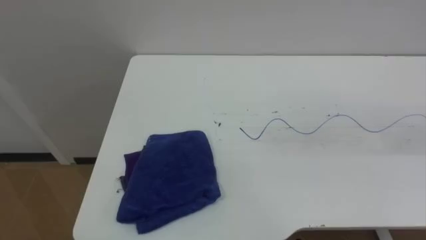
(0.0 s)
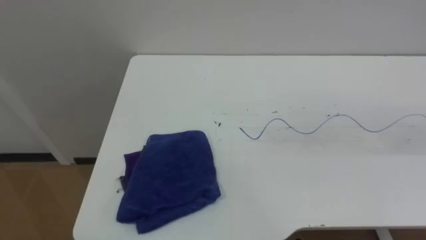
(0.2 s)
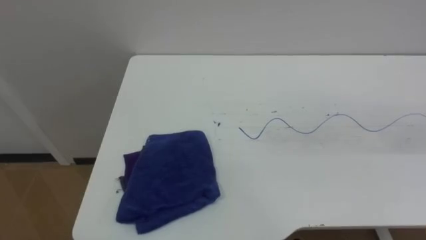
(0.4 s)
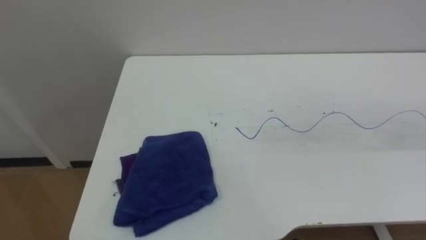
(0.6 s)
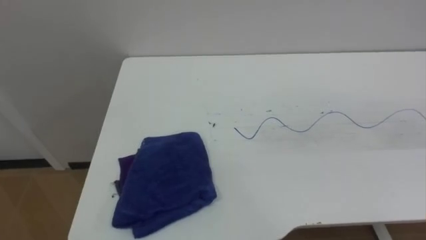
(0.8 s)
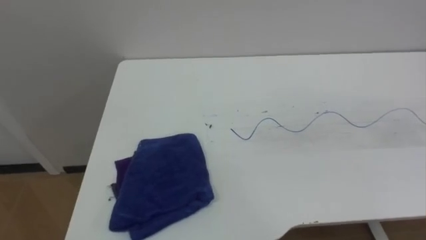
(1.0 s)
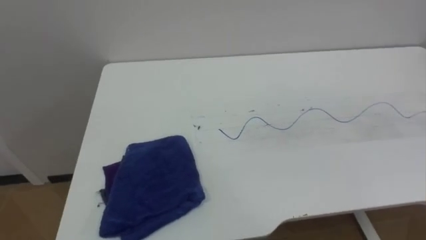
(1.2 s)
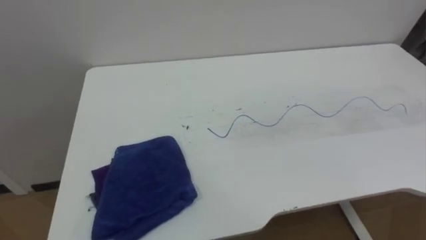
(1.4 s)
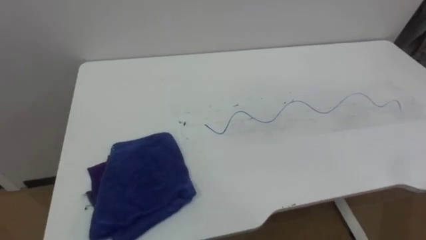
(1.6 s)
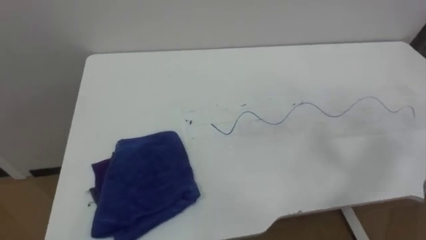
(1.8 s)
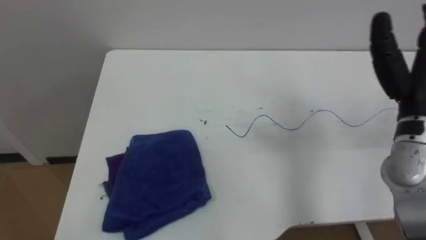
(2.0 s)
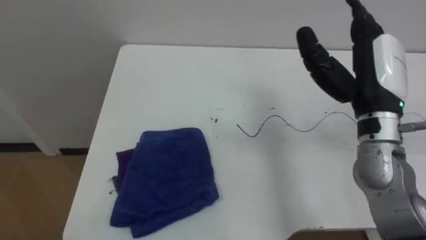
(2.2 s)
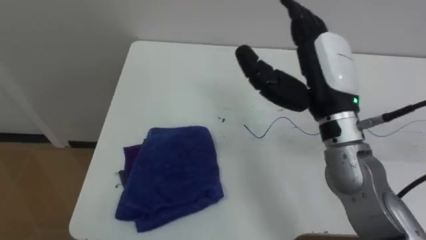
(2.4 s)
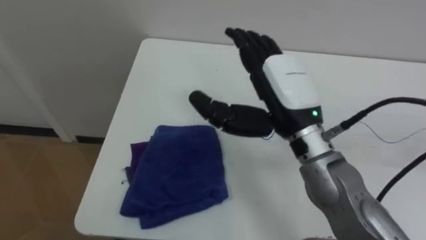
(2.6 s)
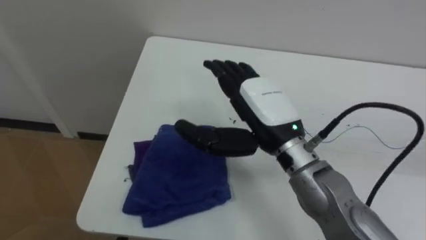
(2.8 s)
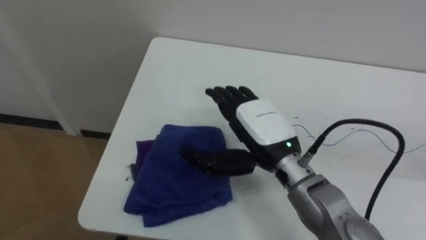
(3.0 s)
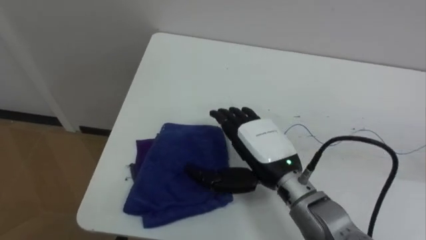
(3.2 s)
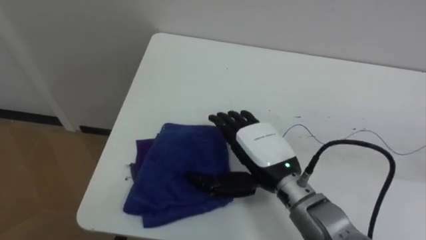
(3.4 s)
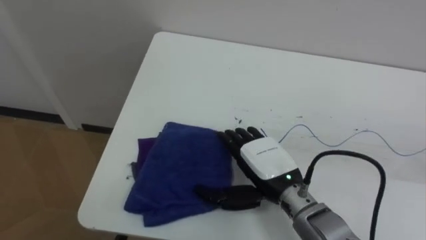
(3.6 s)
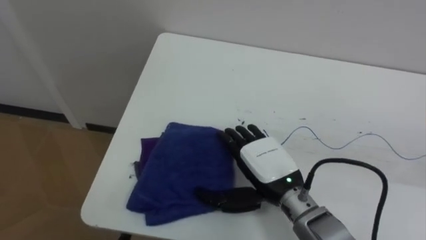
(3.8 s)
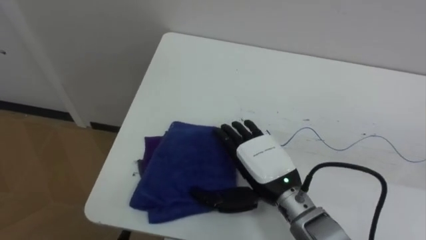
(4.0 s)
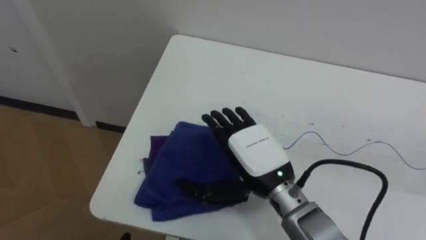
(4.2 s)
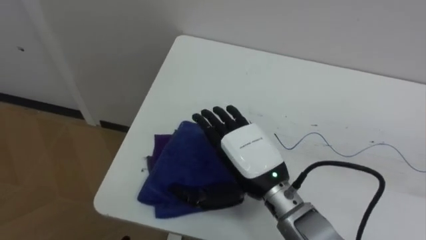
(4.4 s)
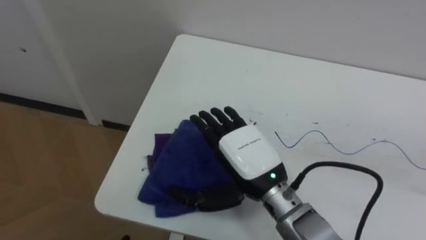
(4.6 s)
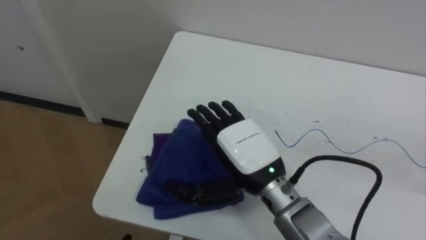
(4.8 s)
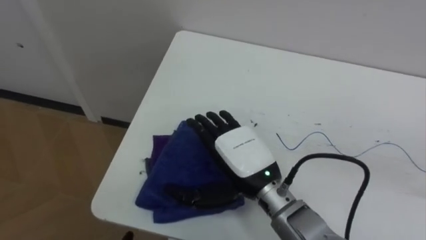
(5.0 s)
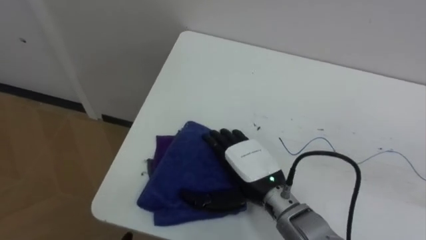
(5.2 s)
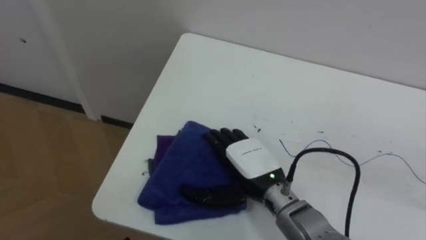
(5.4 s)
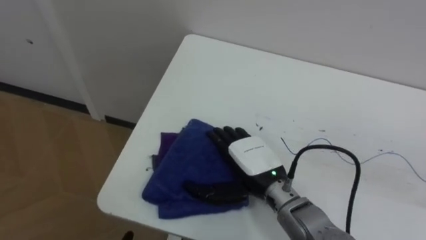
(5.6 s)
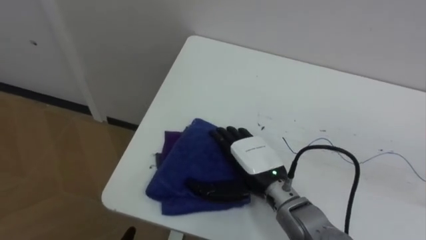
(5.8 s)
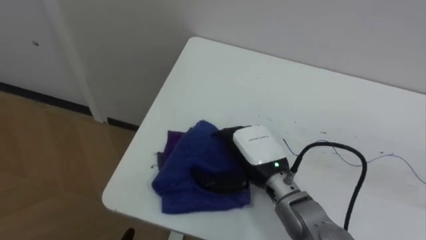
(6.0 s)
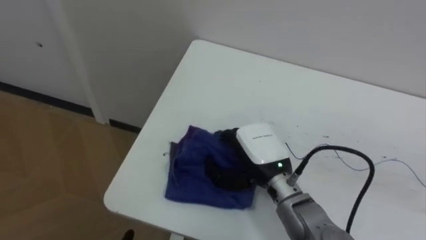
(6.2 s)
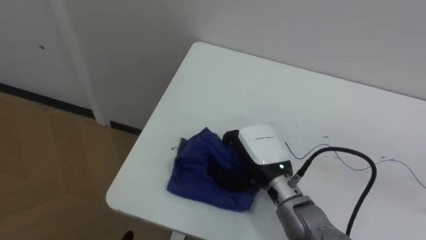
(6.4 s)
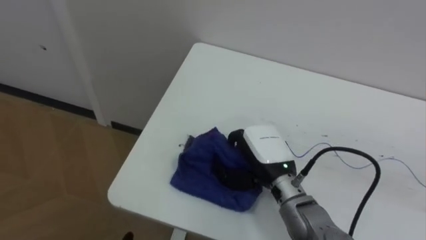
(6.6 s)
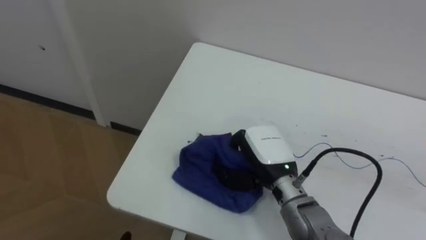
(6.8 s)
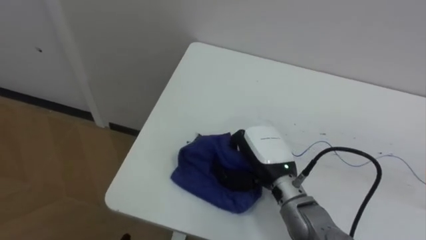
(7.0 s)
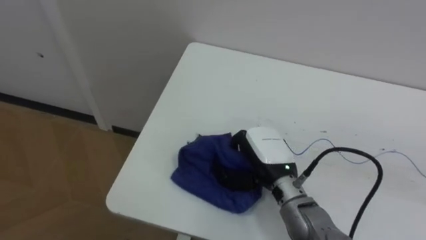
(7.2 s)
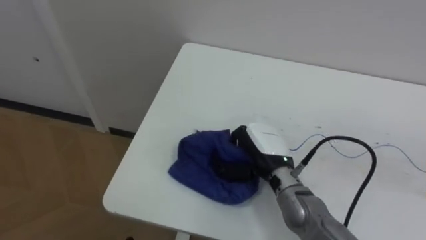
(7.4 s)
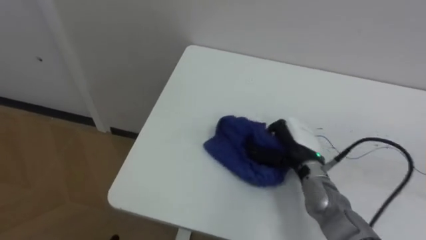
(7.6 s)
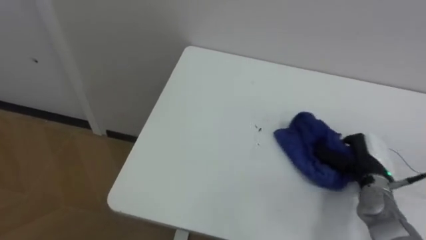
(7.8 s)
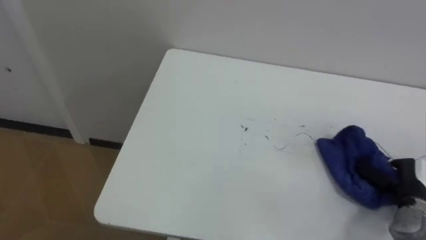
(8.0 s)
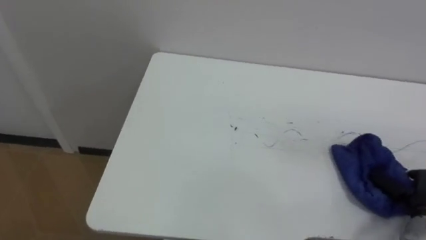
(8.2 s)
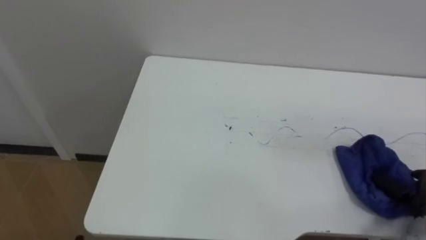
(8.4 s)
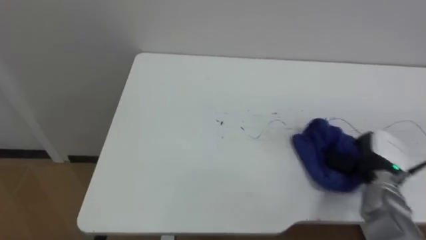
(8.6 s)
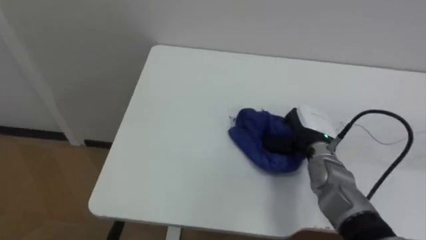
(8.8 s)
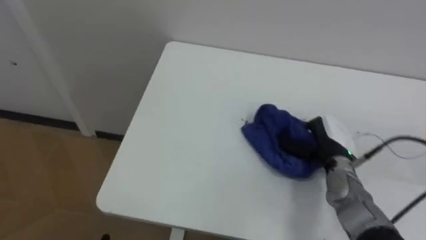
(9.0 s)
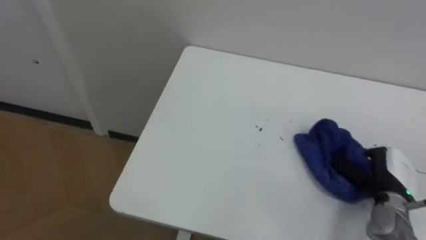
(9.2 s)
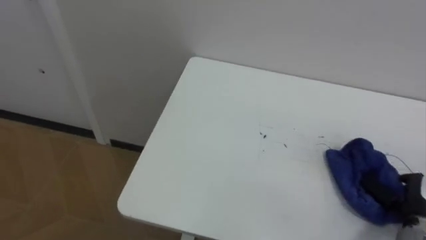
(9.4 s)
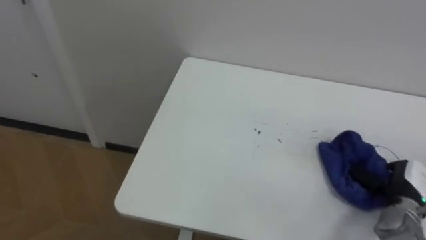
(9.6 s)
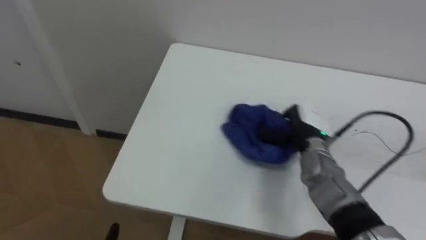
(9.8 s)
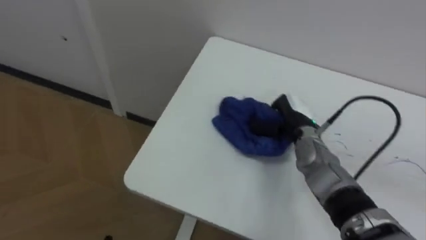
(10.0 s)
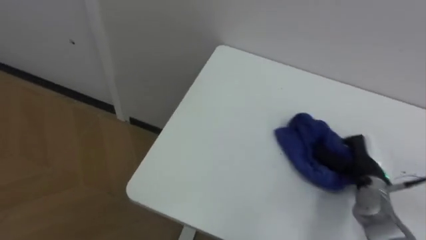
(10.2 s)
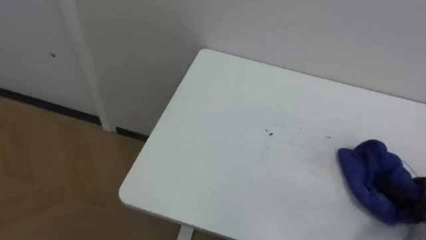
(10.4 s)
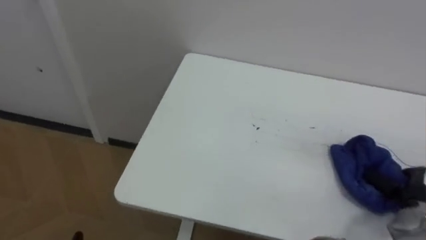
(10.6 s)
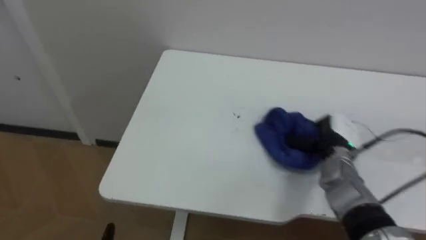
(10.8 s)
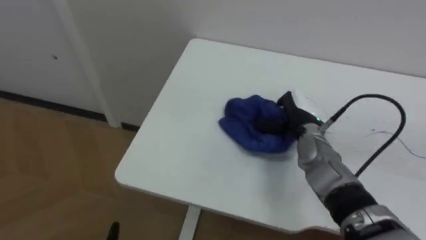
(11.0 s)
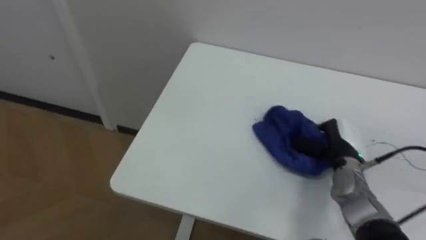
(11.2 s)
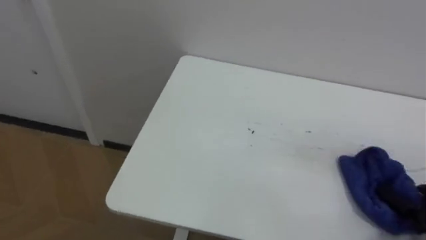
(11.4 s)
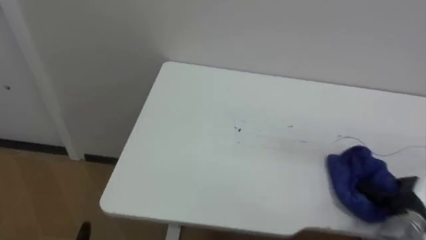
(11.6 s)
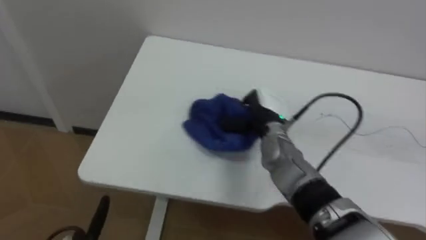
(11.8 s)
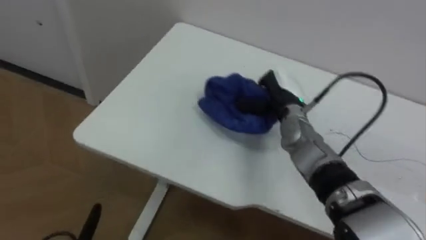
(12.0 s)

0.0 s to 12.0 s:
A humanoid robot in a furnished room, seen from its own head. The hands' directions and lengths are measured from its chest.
Task of the whole recording: Wipe the blue pen marks off the table with the rag.
4.4 to 6.0 s: The right hand is displaced downward by some 5 cm.
6.0 to 7.6 s: The right hand heads to the right, covering about 5 cm, and closes.
7.6 to 9.0 s: The right hand goes to the right and returns, about 25 cm each way.
9.0 to 10.4 s: The right hand moves left and right over approximately 25 cm, changing direction 2 times.

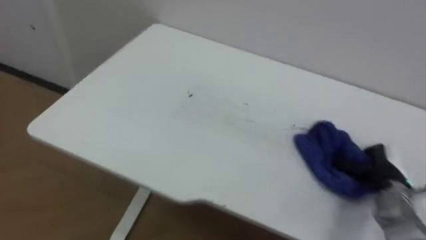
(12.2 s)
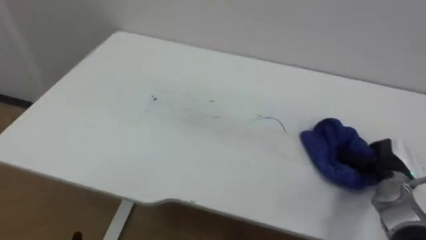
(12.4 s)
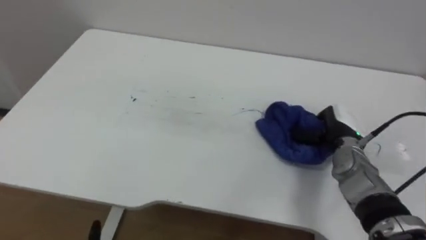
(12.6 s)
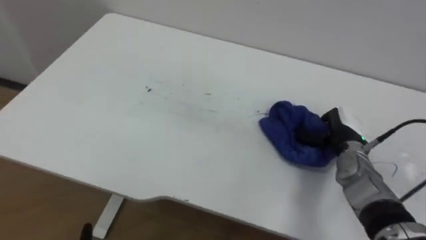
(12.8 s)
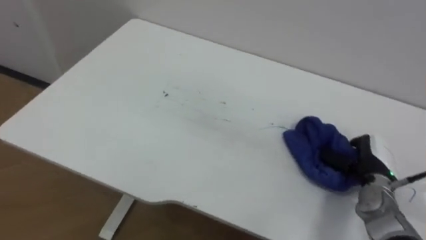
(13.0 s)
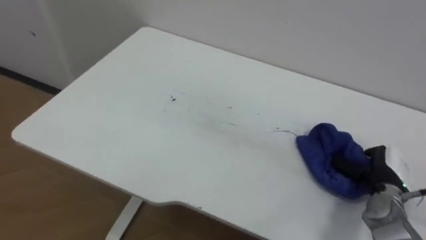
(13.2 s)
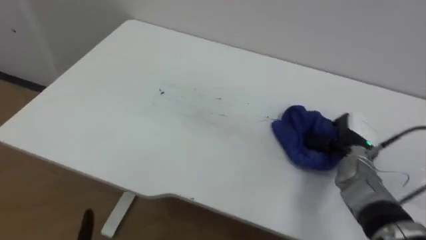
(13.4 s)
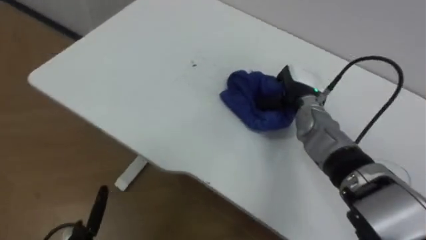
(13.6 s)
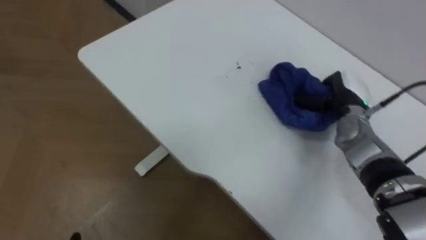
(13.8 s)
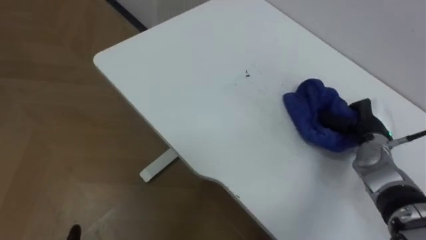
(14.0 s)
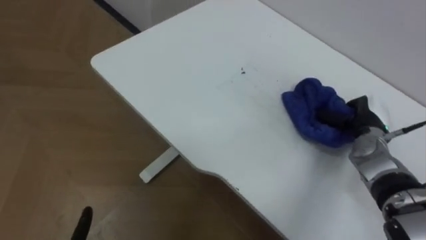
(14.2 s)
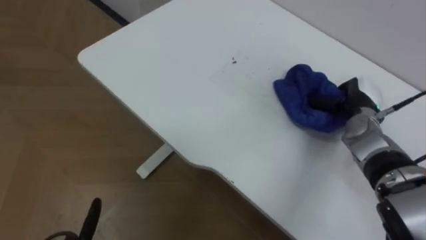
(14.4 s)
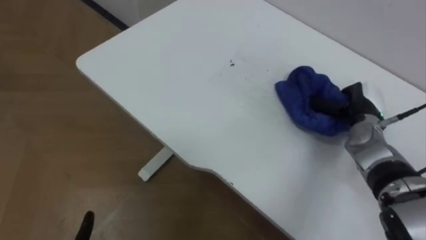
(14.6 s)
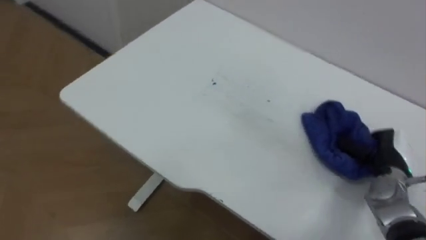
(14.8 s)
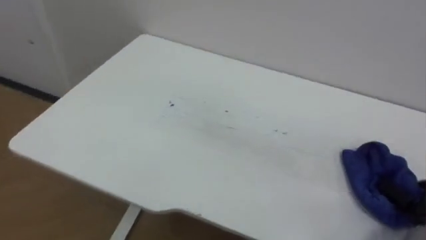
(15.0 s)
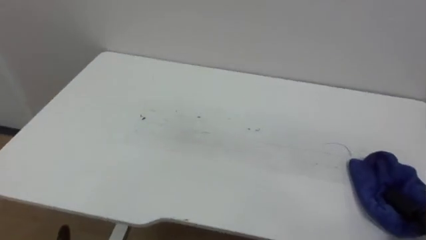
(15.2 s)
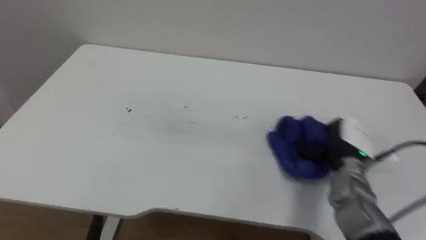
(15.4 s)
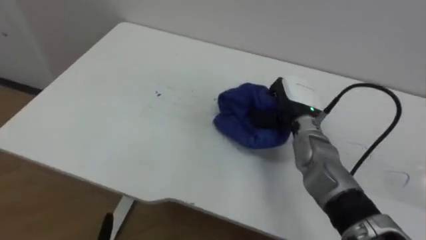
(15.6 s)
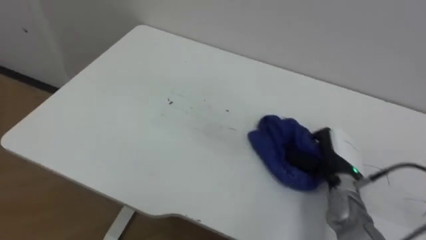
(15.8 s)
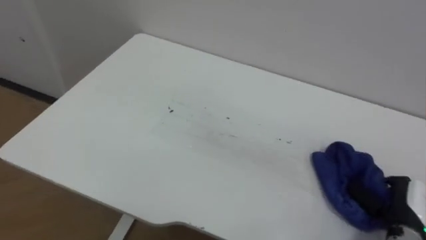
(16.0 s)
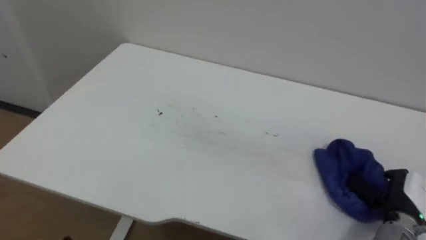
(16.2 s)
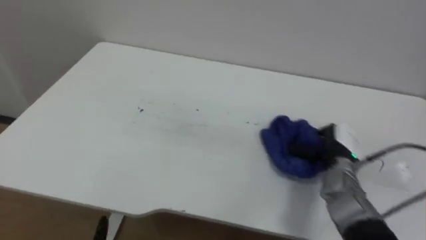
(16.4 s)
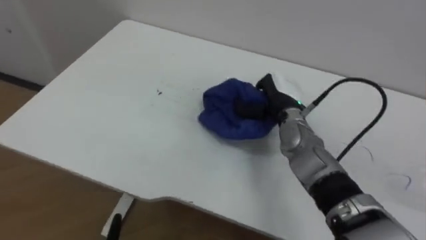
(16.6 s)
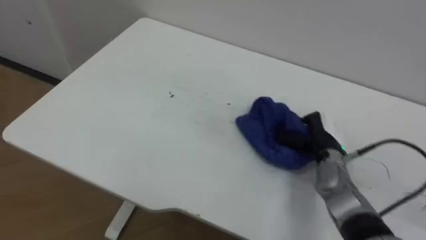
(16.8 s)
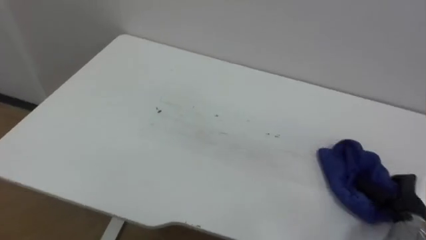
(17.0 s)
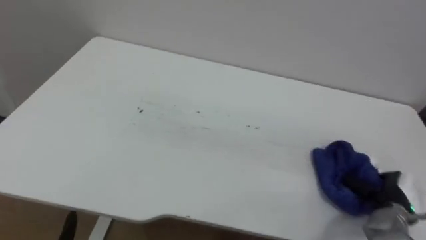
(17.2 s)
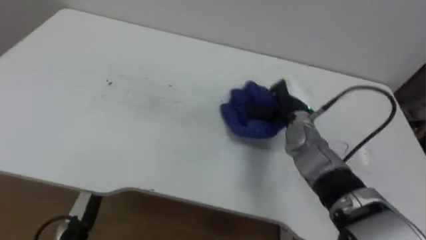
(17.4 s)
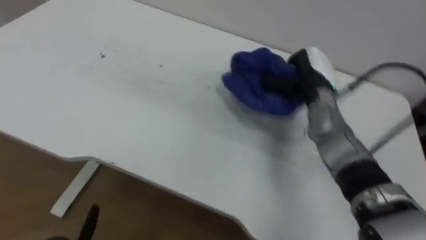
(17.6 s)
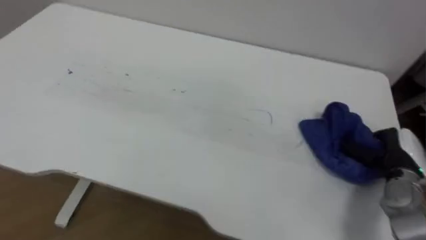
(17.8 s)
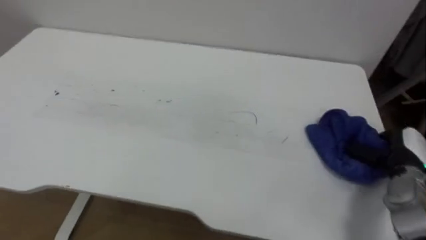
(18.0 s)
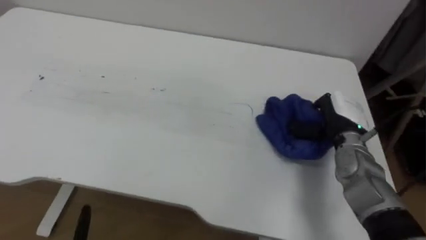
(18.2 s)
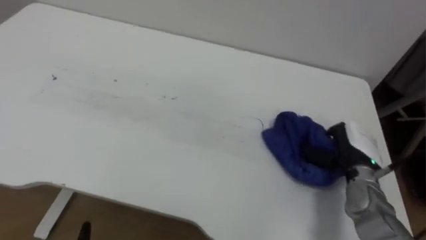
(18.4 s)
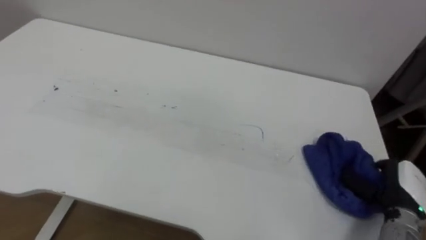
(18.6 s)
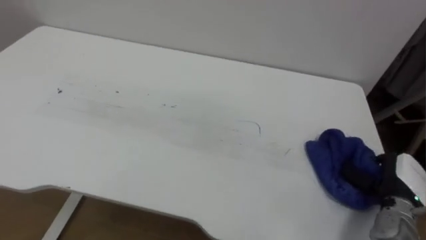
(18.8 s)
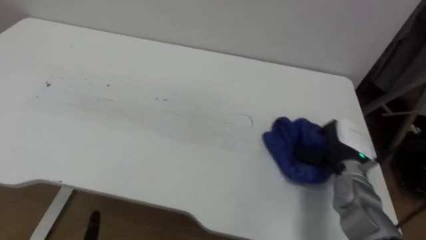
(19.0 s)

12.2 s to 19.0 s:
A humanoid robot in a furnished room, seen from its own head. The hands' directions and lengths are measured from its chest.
Task of the whole recording: Wipe the blue pen marks off the table with the rag.
12.2 to 13.6 s: The right hand goes left and right, some 20 cm each way, reversing 3 times.
13.6 to 15.0 s: The right hand moves to the right, backward and downward, roughly 35 cm.
16.2 to 17.6 s: The right hand moves left and right over some 25 cm, changing direction 2 times.
17.6 to 19.0 s: The right hand swings left and right, roughly 20 cm each way, with 3 reversals.
